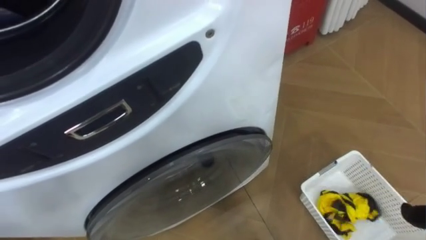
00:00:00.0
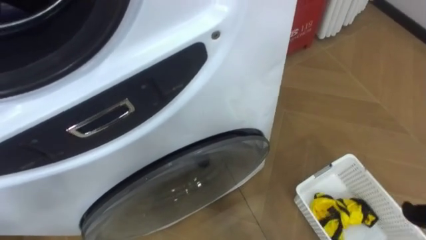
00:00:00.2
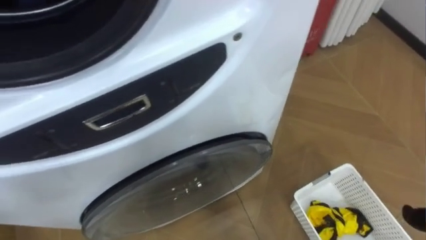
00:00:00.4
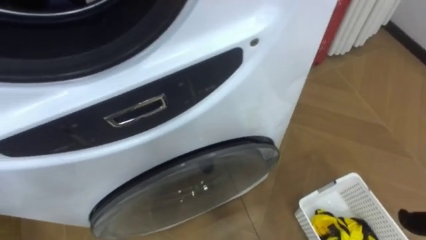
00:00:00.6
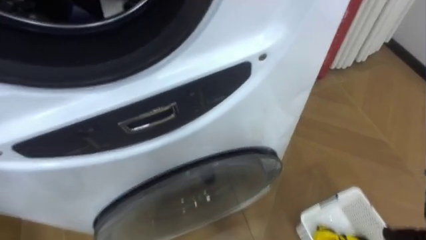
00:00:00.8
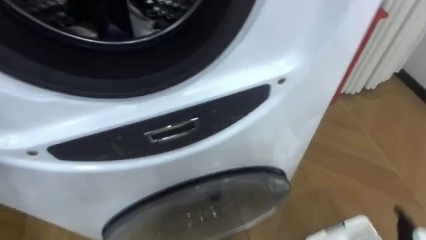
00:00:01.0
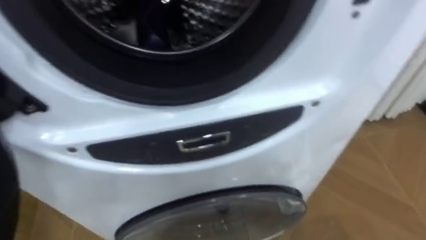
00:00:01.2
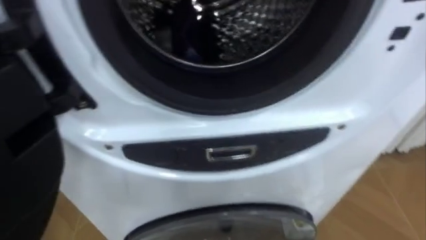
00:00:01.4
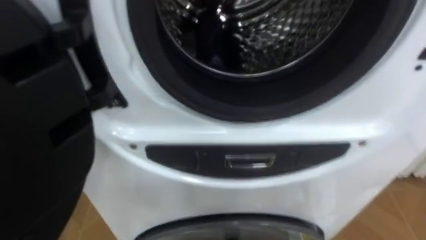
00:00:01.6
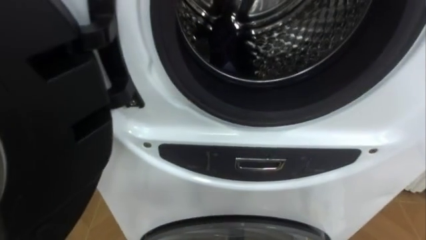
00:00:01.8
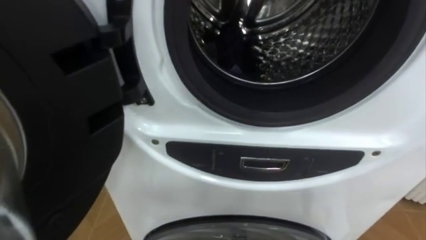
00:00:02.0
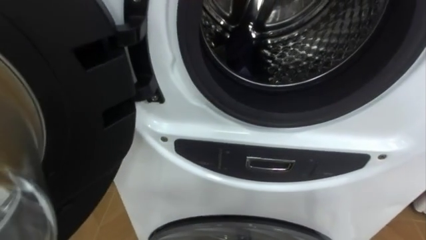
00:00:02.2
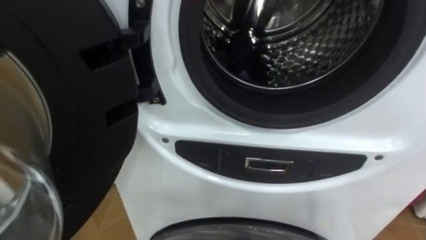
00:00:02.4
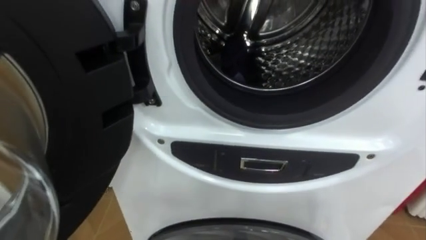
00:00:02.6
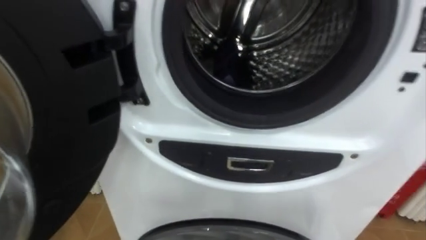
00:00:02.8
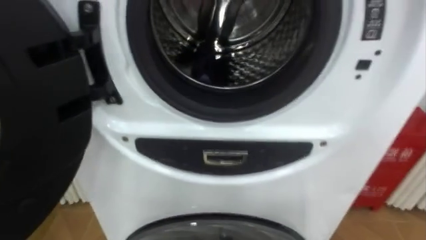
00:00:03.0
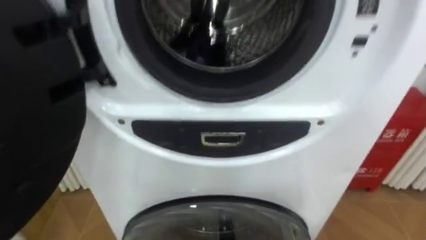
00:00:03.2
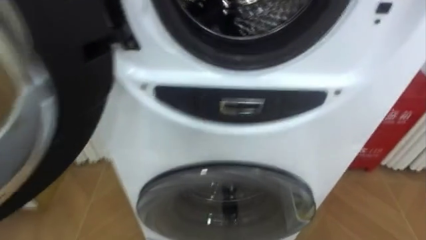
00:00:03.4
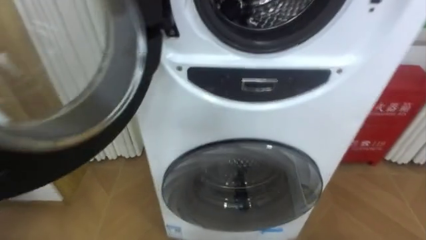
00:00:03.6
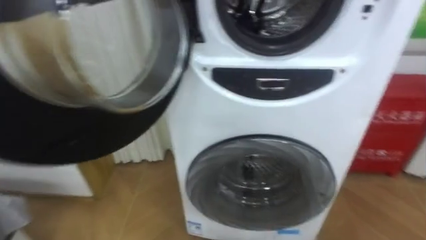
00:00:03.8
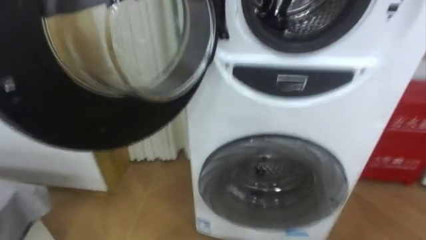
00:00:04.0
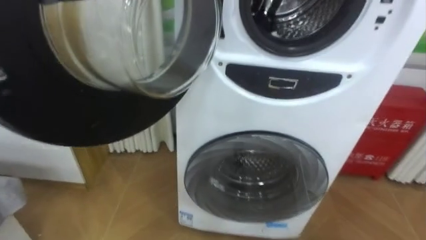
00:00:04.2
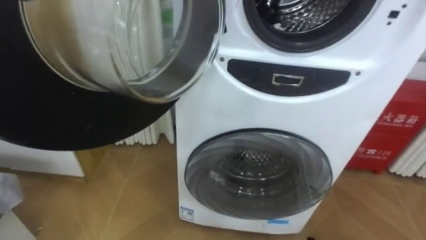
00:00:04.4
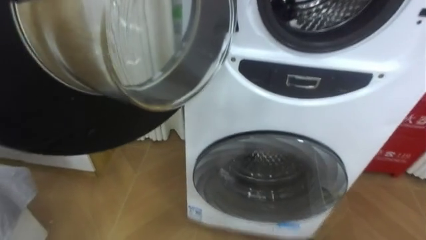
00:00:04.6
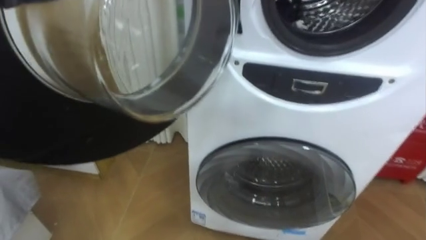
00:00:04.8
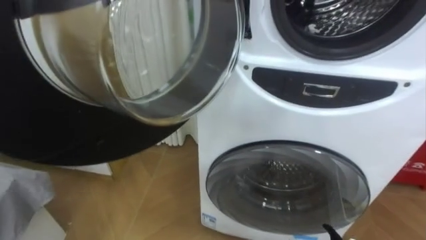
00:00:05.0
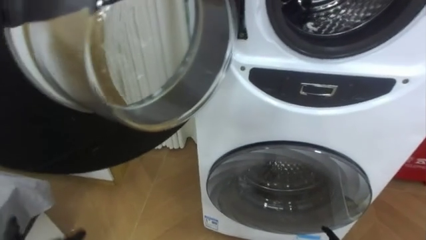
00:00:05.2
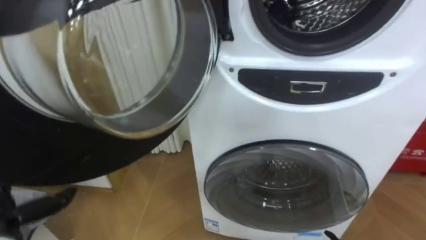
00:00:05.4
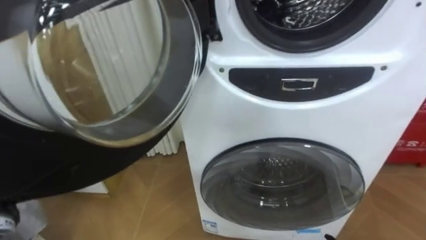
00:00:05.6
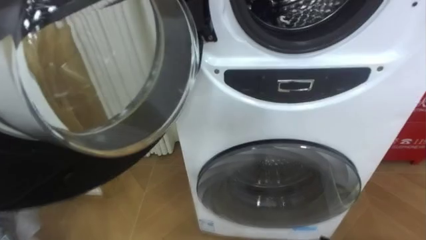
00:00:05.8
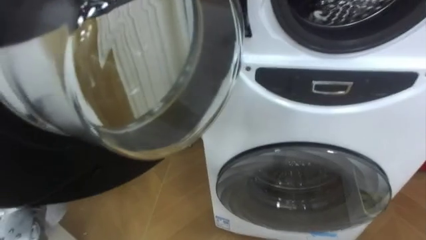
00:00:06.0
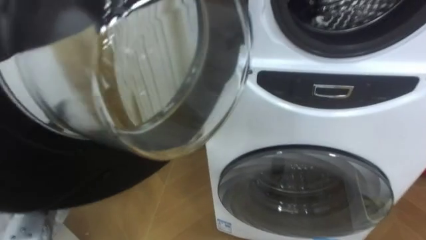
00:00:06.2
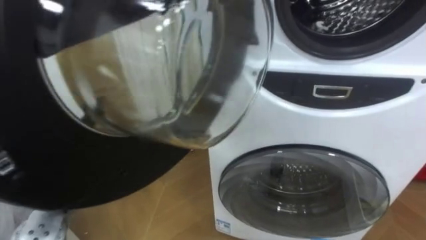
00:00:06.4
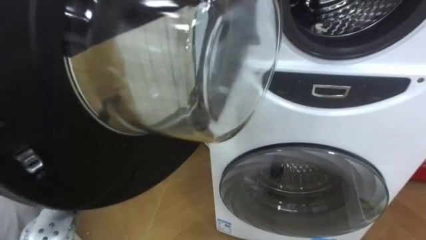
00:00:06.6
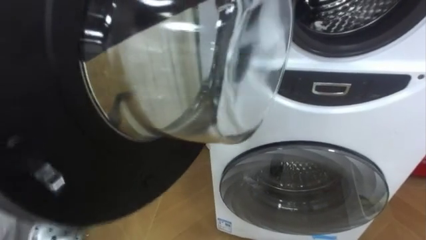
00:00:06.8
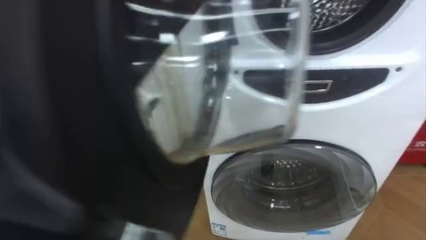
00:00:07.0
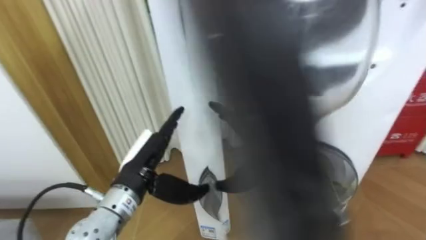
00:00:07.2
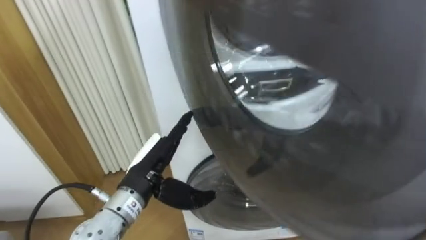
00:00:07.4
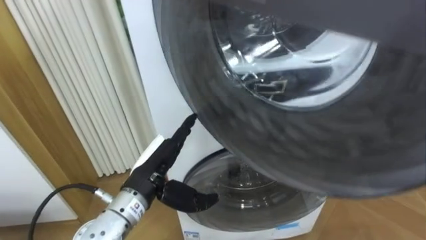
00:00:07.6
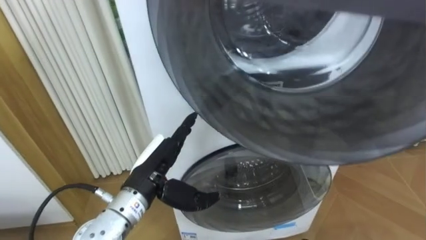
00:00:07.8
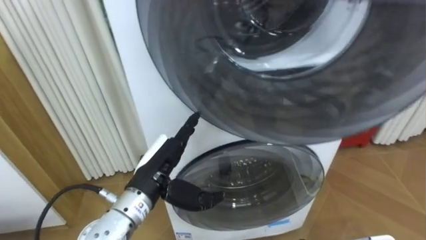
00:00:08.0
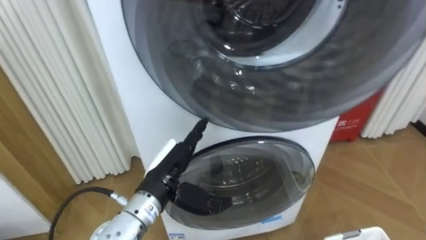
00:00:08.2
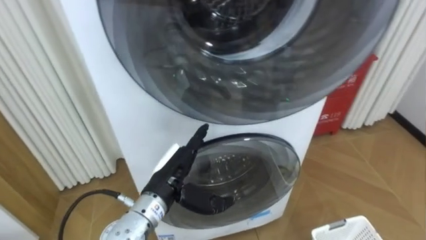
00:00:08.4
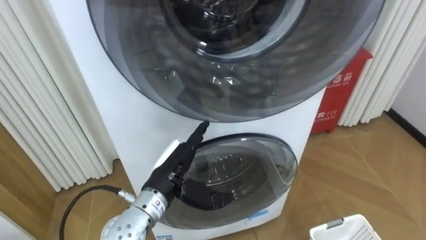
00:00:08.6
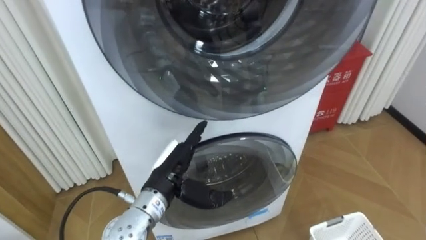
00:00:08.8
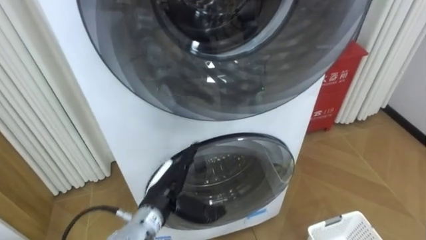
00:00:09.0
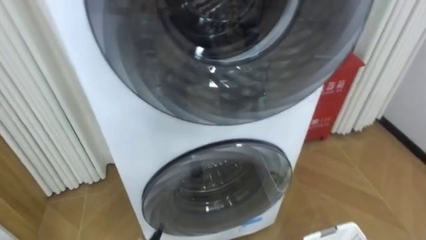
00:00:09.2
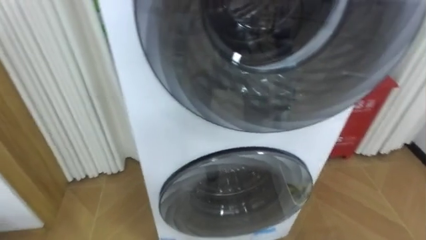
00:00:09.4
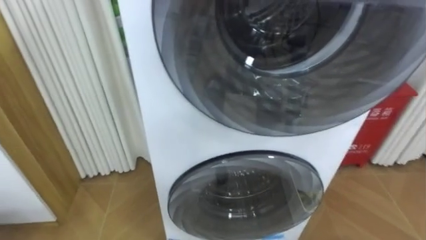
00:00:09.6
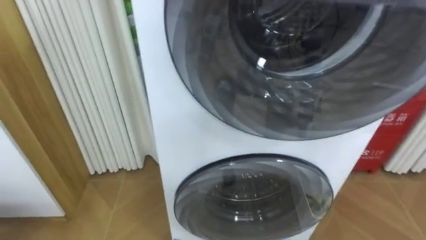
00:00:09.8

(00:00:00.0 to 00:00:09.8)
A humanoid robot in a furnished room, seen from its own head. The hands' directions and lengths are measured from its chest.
Task of the whole recording: Open the washing machine door, take out the yellow clothes, place them in the box on the right, and close the washing machine door.
00:00:07.0 - 00:00:08.4: The left hand moves to the right, approximately 10 cm.

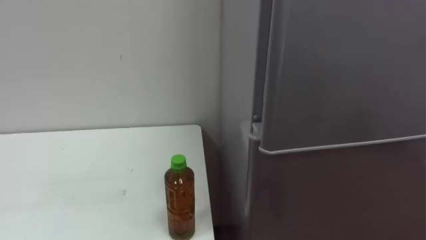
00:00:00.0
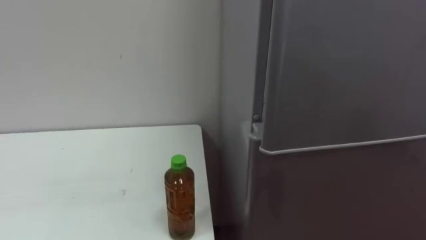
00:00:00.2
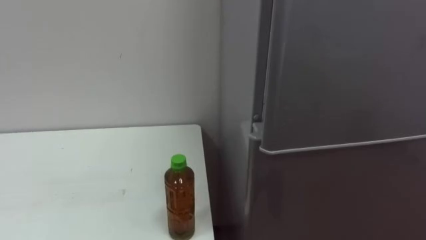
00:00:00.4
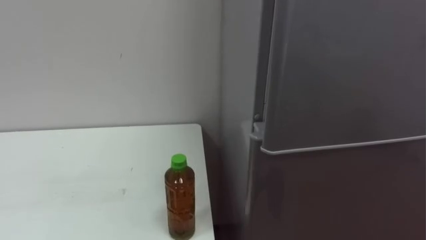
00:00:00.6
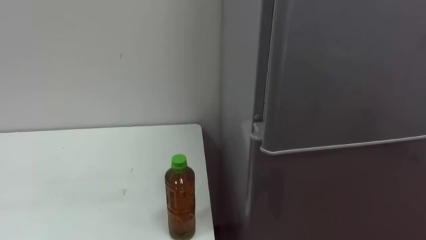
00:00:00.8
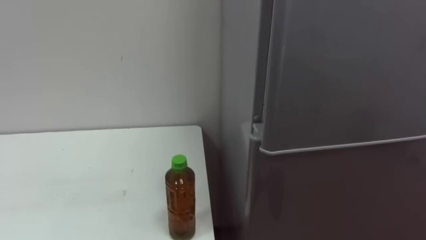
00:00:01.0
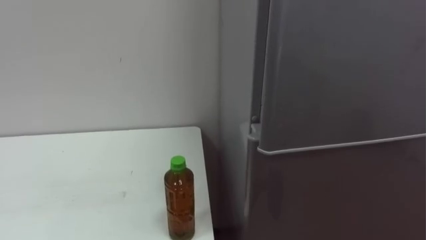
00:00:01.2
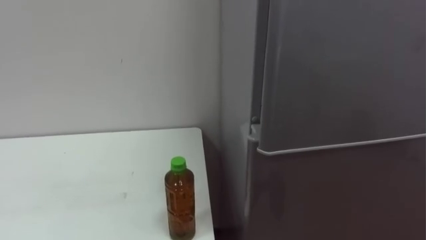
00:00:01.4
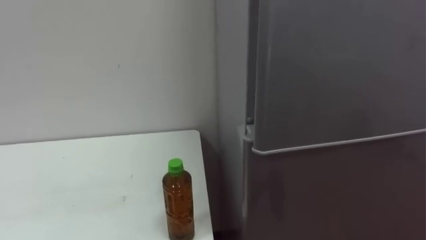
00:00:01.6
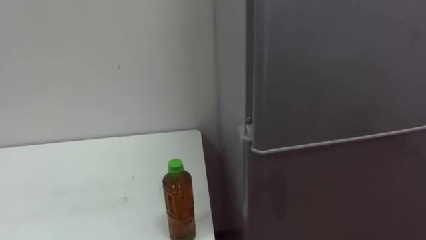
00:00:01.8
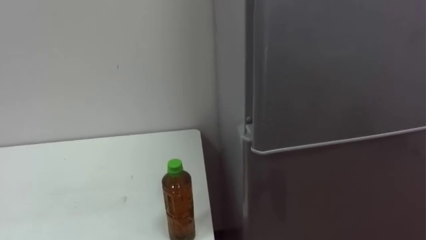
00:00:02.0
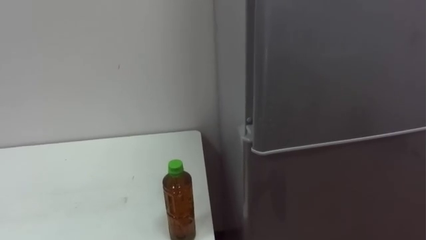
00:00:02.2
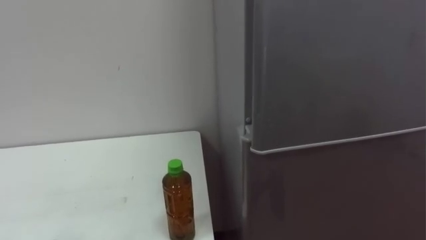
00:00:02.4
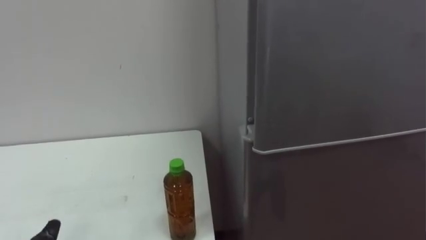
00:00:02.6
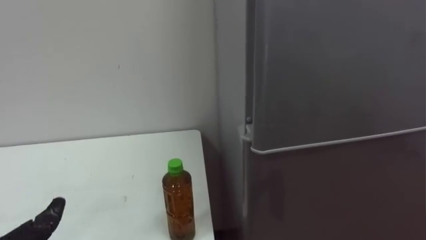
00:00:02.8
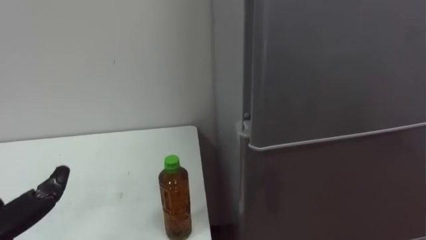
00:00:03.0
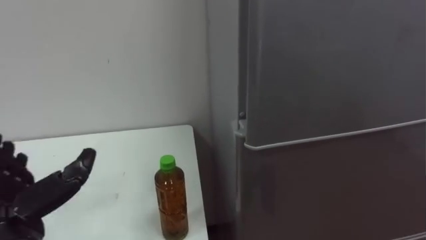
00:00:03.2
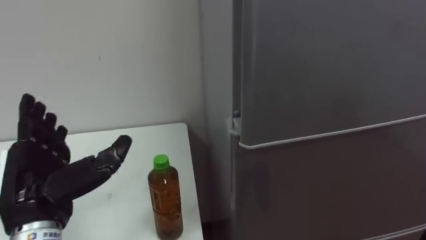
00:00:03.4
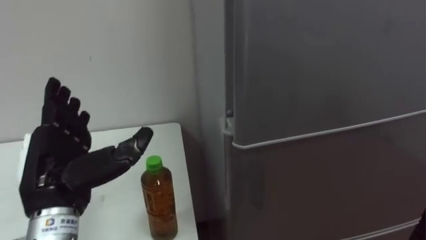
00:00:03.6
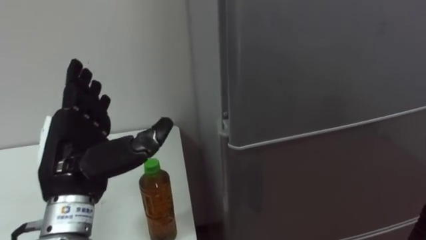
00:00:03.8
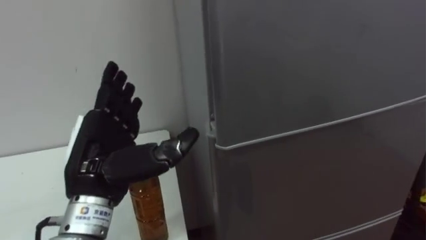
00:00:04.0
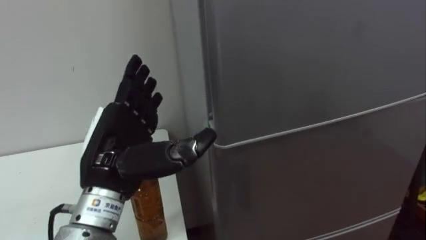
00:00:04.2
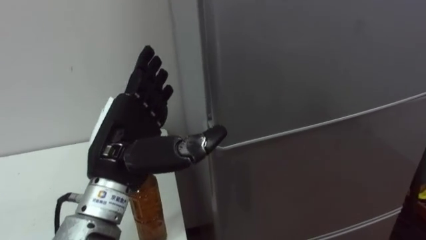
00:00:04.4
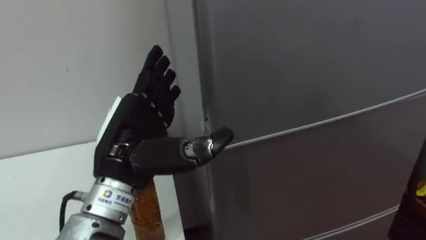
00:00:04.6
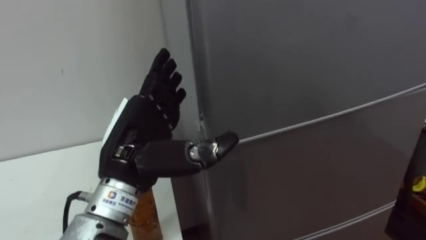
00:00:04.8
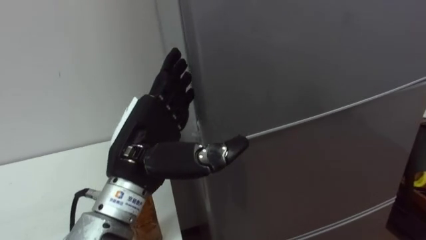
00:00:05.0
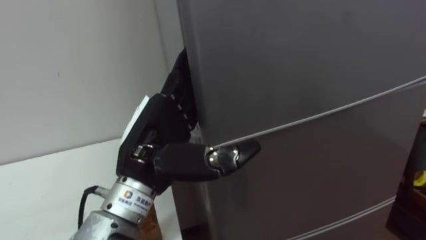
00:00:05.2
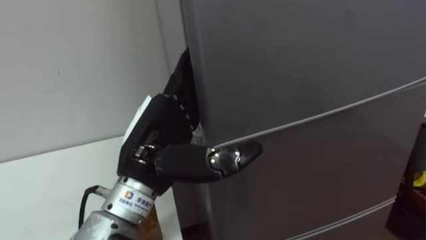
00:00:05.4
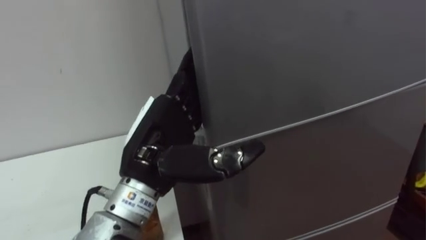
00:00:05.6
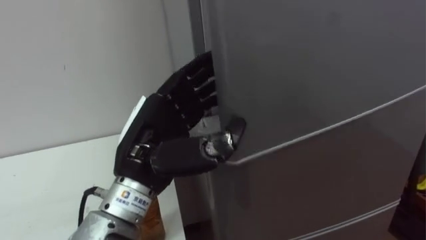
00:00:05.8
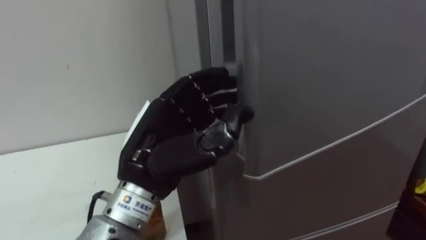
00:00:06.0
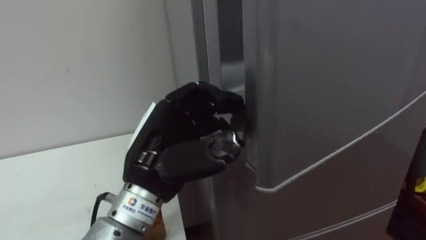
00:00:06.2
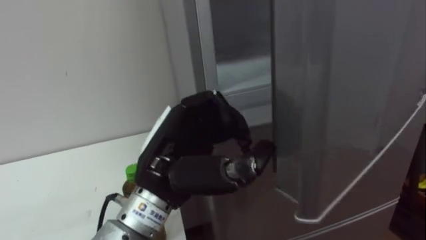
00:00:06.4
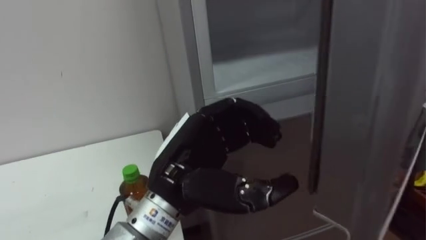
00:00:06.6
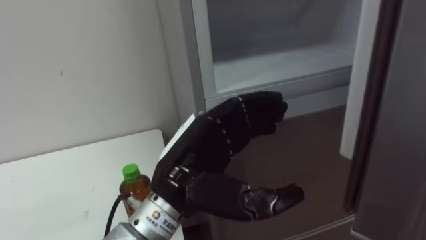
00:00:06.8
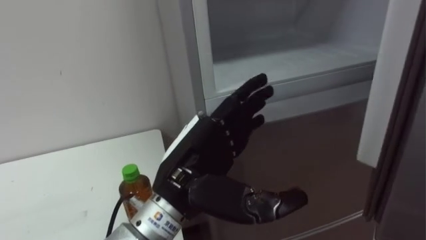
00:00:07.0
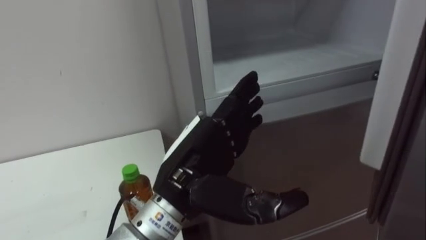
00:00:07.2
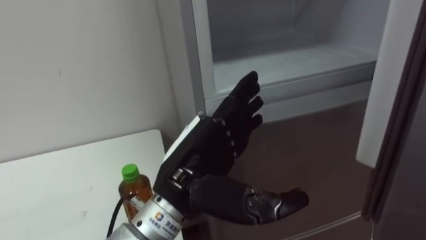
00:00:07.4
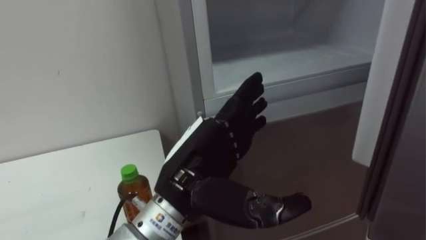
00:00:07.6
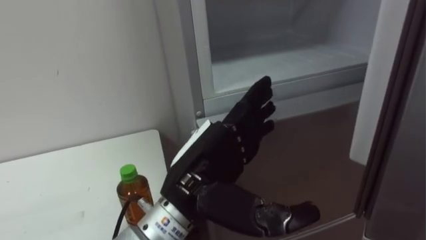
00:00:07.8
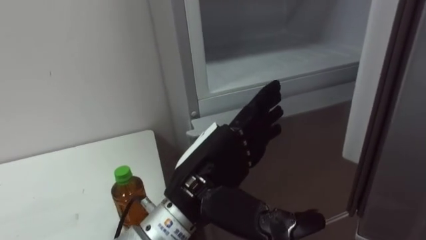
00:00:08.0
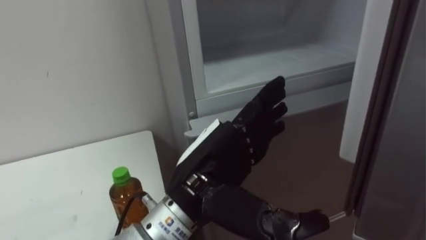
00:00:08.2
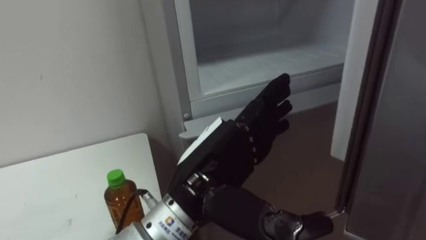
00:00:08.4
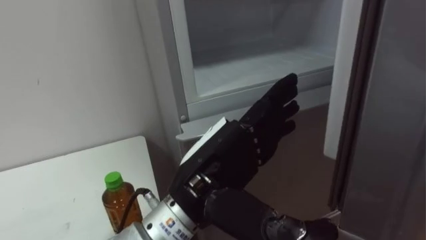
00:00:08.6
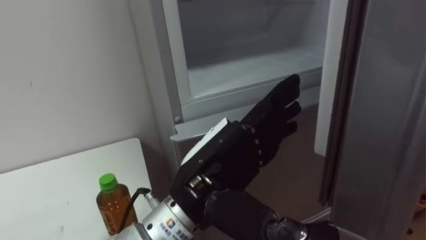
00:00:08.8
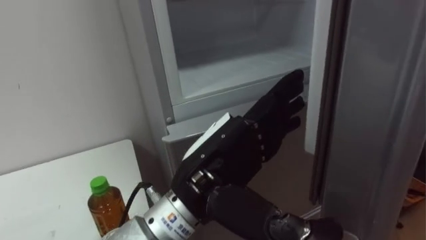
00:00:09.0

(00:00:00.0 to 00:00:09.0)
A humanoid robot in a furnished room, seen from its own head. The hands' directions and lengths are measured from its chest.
Task of the whole recording: Open the upper refrigerator door, put the drink from the table into the refrigerator, and then close the refrigerator door.
00:00:04.4 - 00:00:06.0: The left hand closes up.
00:00:06.0 - 00:00:07.6: The left hand ends up some 5 cm from where it was, and opens up.
